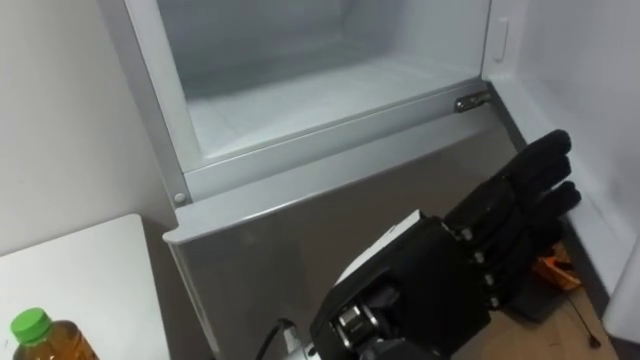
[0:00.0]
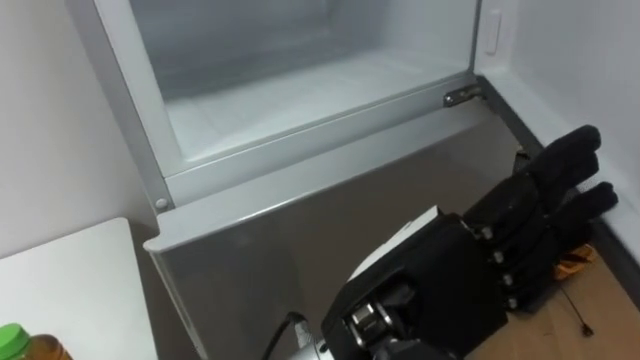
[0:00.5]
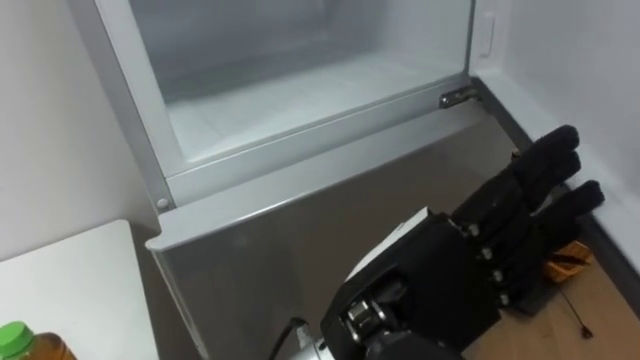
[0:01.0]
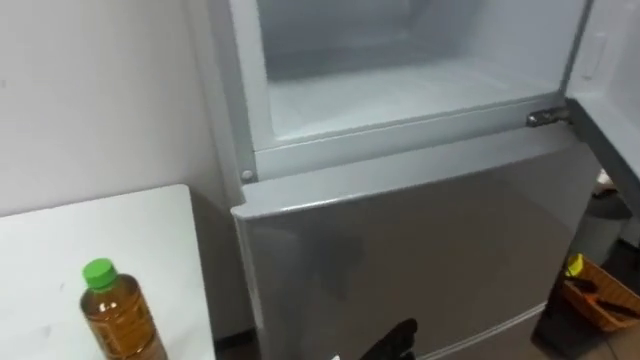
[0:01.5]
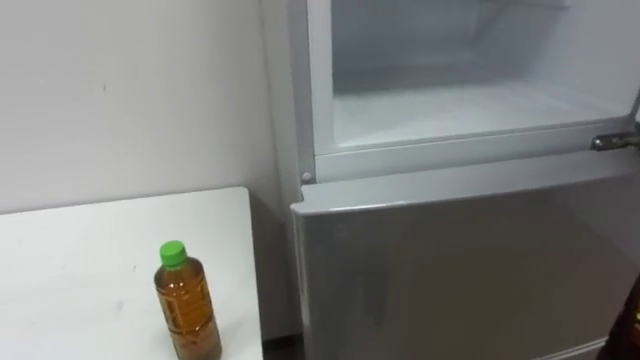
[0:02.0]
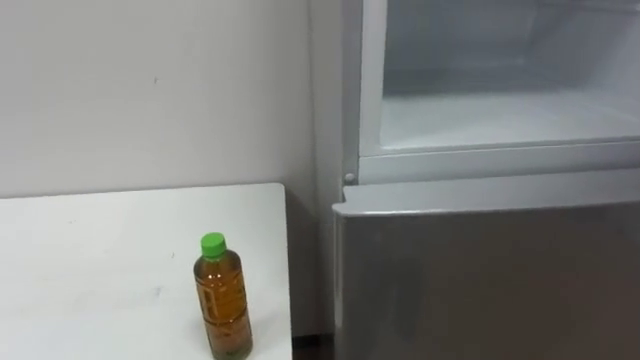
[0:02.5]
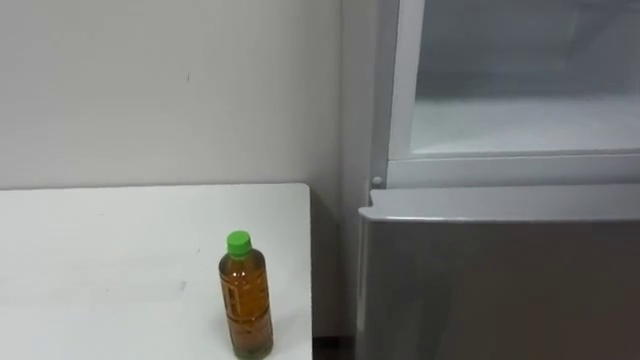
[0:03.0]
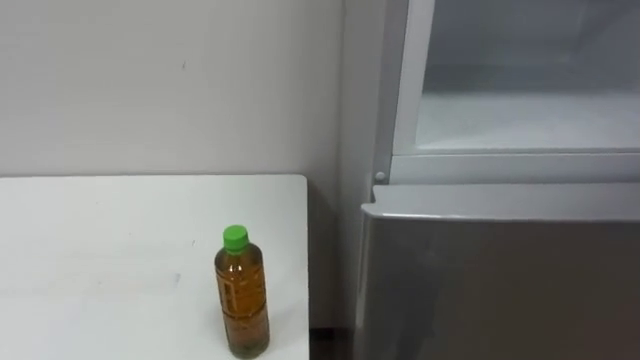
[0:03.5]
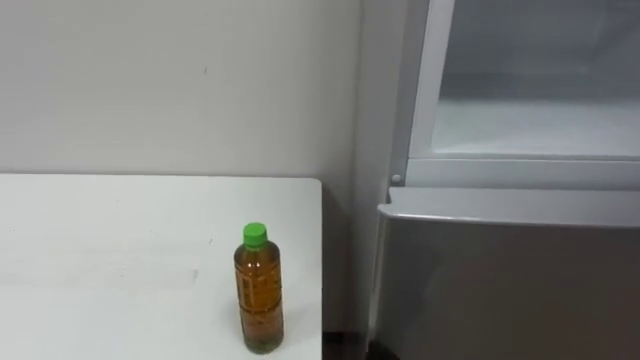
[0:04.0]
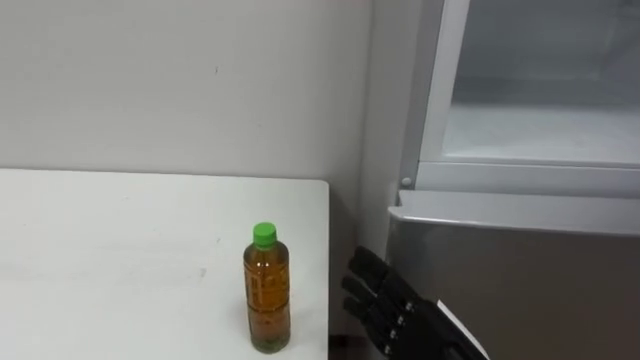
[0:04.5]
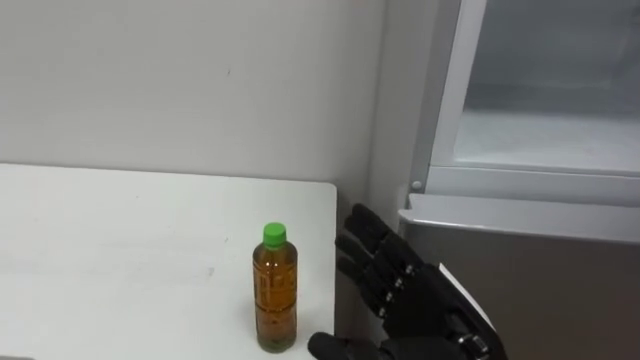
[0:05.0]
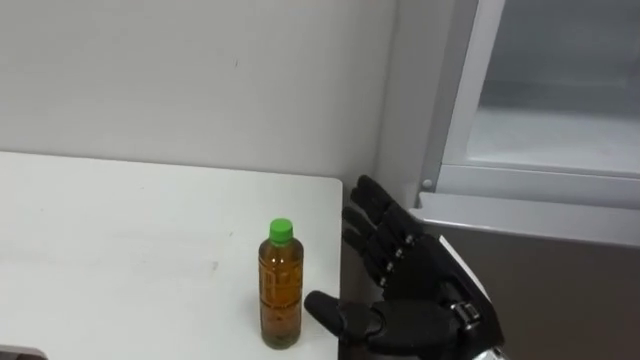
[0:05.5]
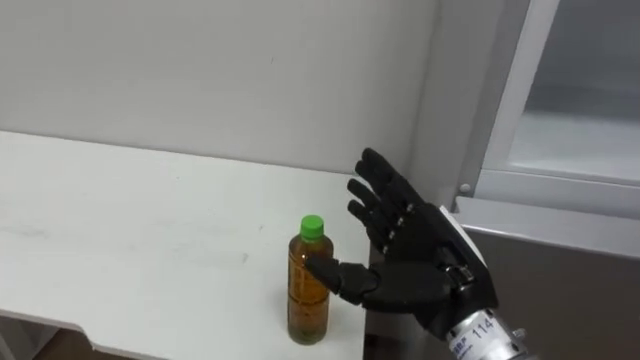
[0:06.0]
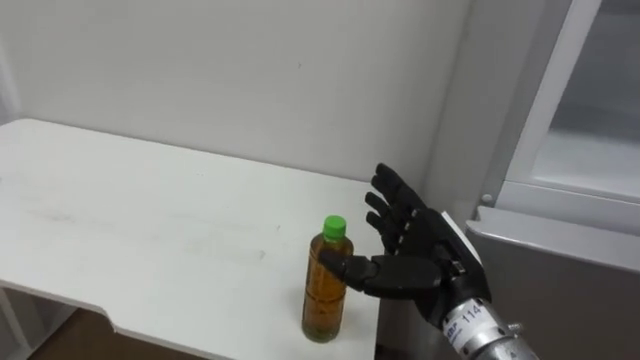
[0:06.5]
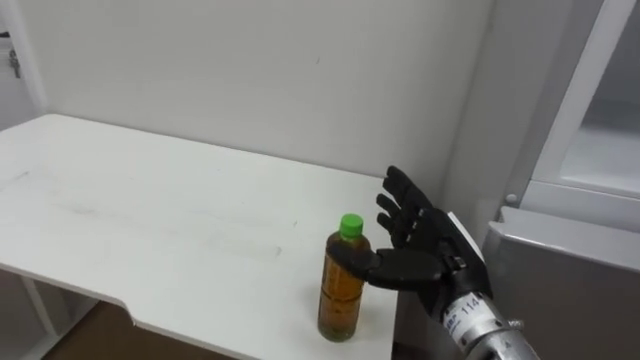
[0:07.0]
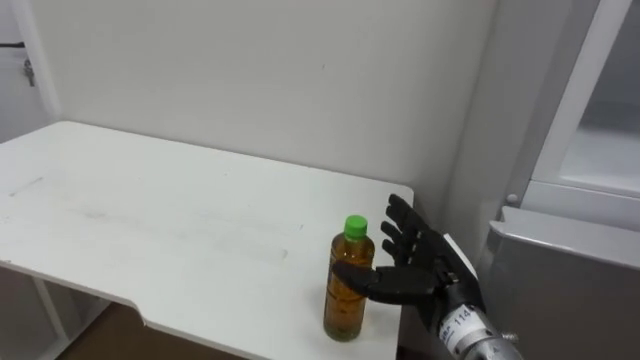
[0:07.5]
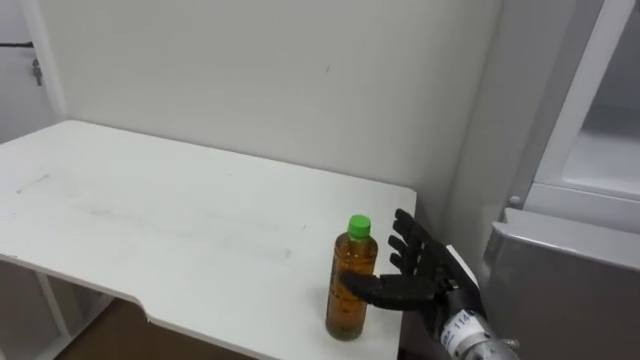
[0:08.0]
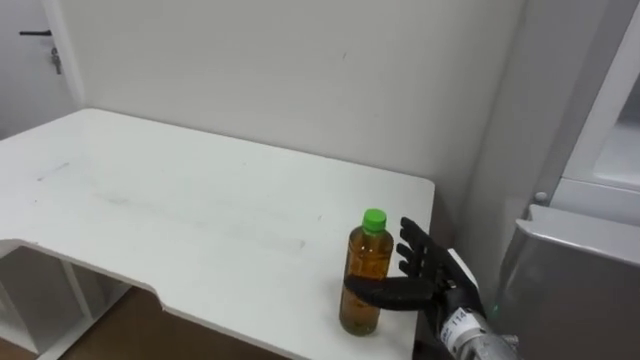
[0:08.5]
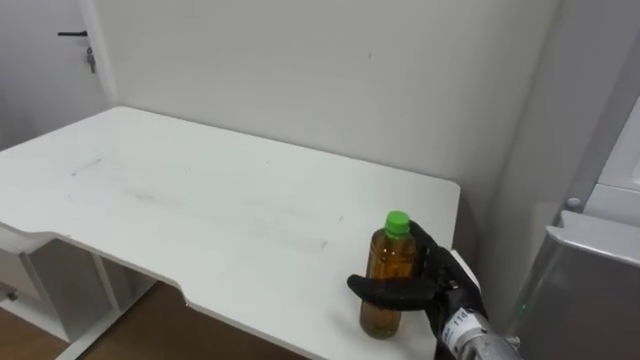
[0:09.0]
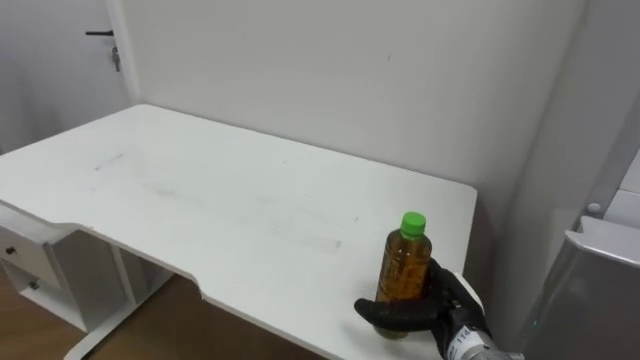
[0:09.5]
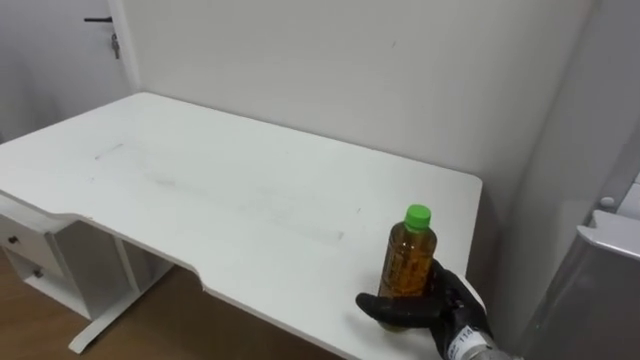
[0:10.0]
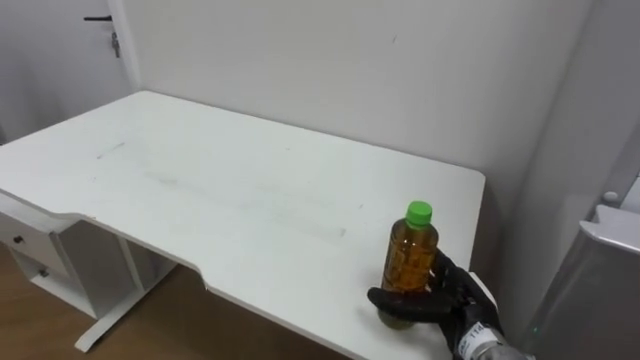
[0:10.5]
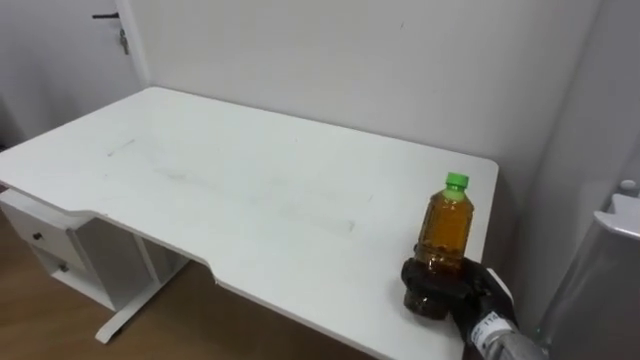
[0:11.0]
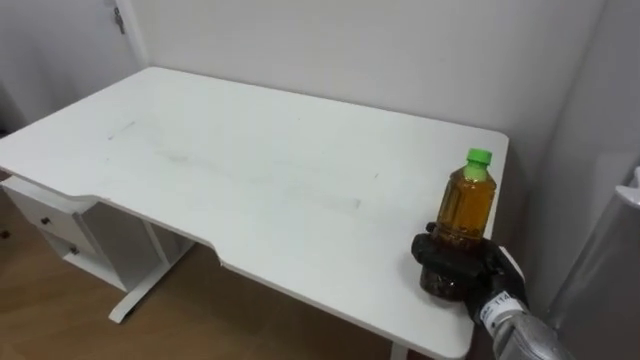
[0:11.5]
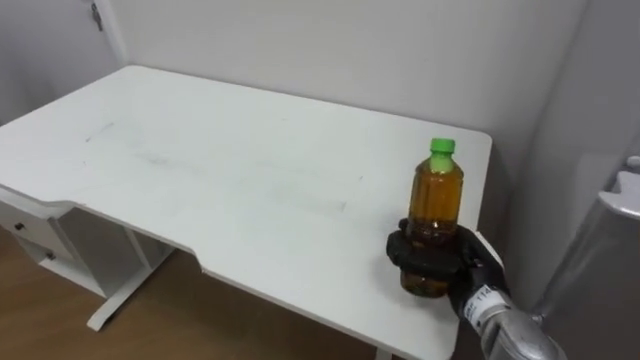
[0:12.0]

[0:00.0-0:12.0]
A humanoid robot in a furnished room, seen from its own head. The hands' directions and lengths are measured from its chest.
Task of the whole recording: Open the upper refrigerator door, put the drink from the table into the refrigerator, and then close the refrigerator door.
0:06.0 to 0:08.0: The right hand travels downward and forward by approximately 10 cm.
0:08.0 to 0:10.0: The right hand travels downward by approximately 5 cm.
0:10.0 to 0:12.0: The right hand heads upward, covering approximately 5 cm, and closes up.

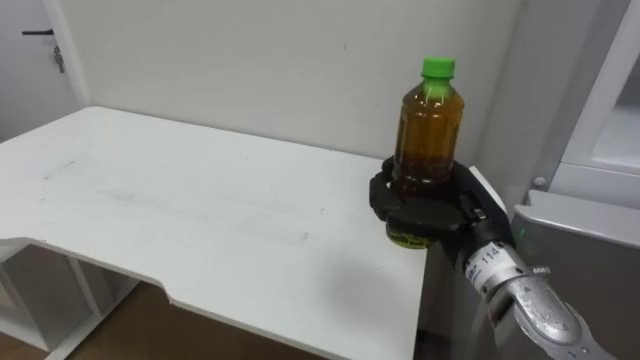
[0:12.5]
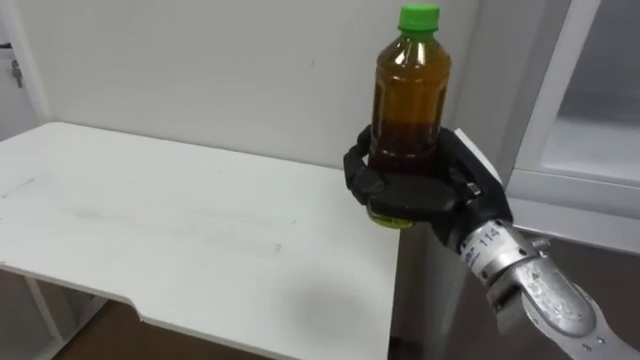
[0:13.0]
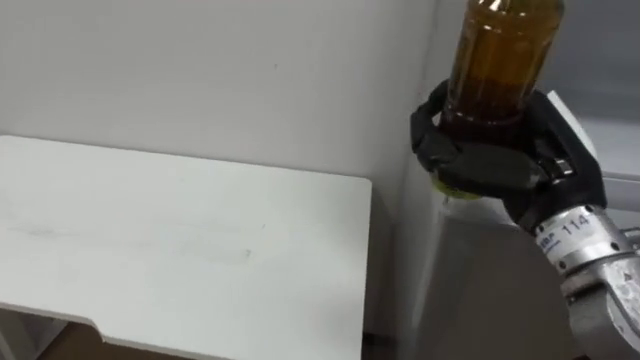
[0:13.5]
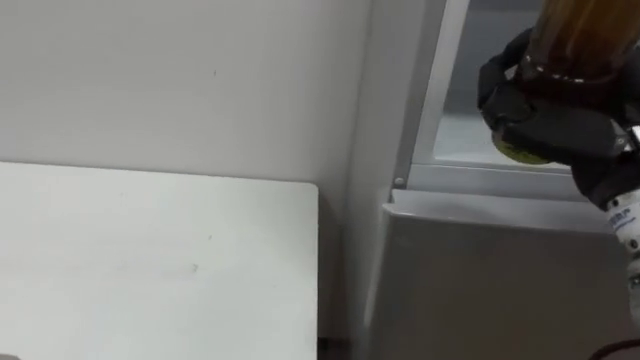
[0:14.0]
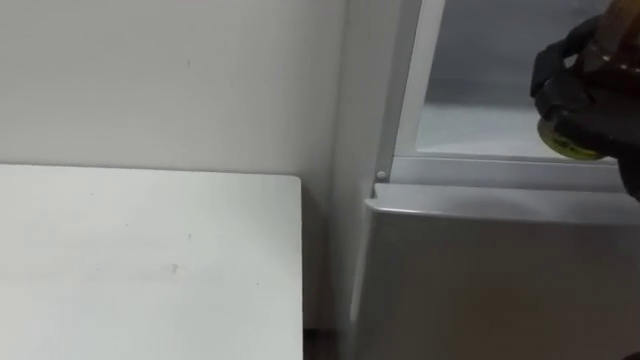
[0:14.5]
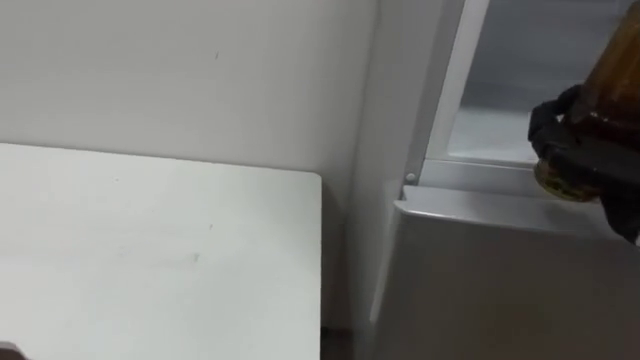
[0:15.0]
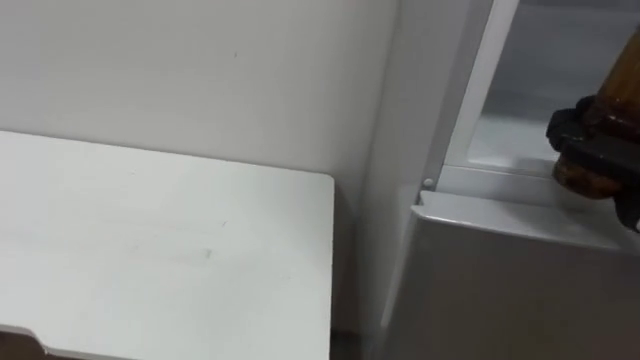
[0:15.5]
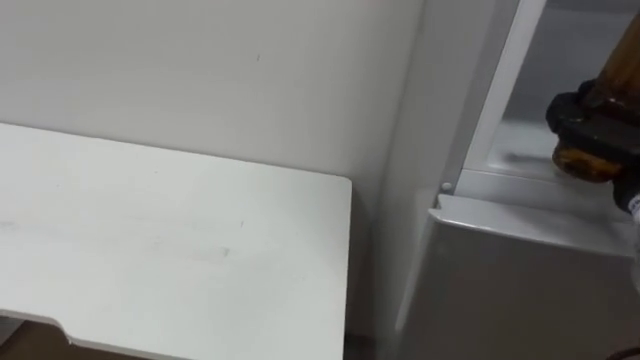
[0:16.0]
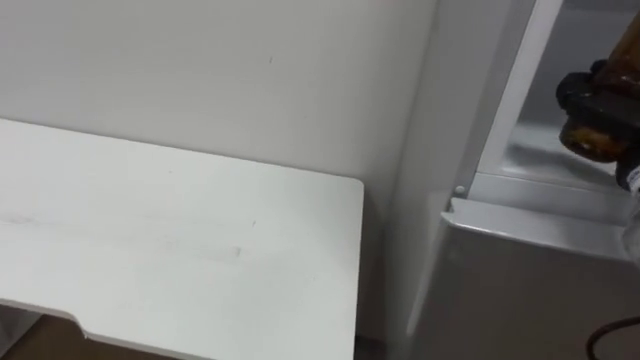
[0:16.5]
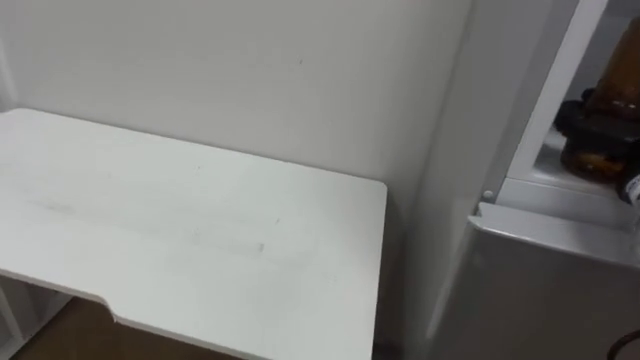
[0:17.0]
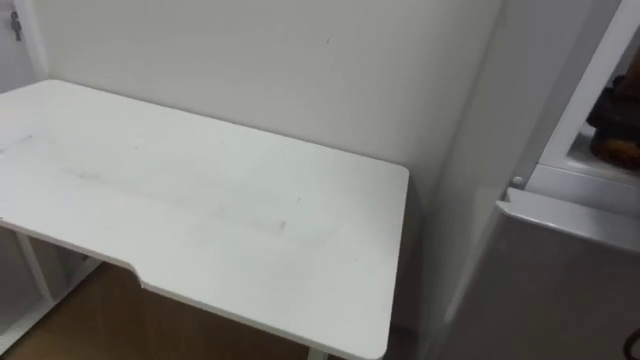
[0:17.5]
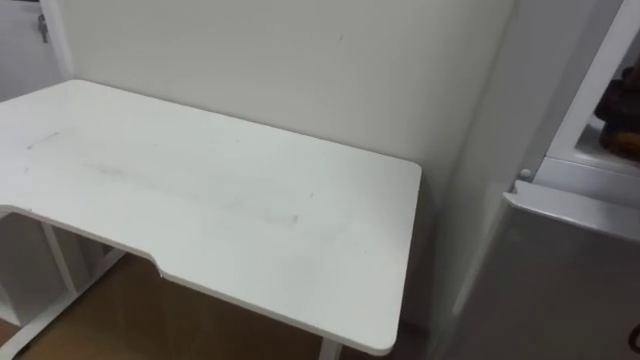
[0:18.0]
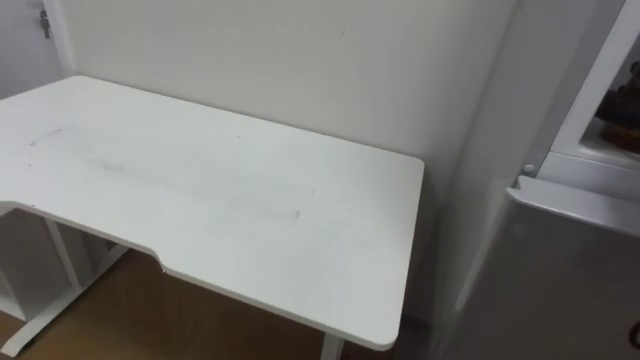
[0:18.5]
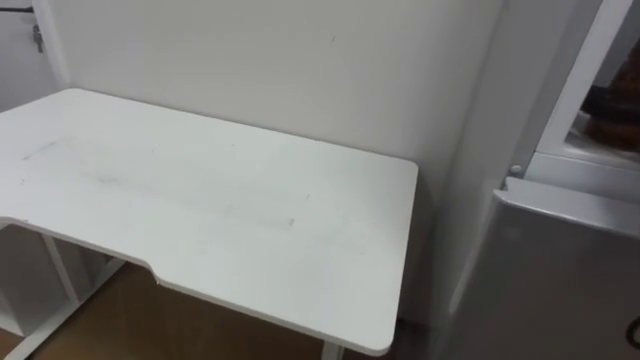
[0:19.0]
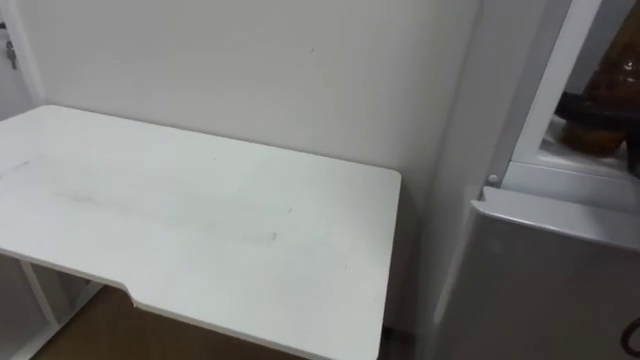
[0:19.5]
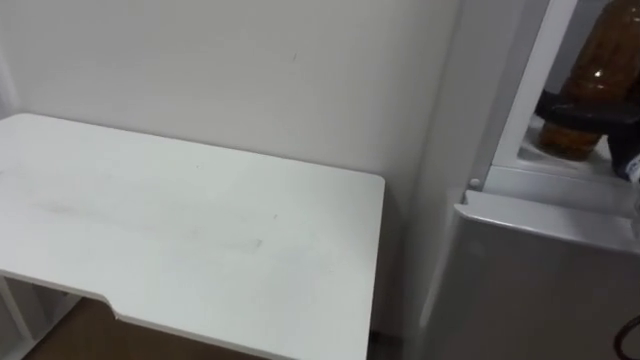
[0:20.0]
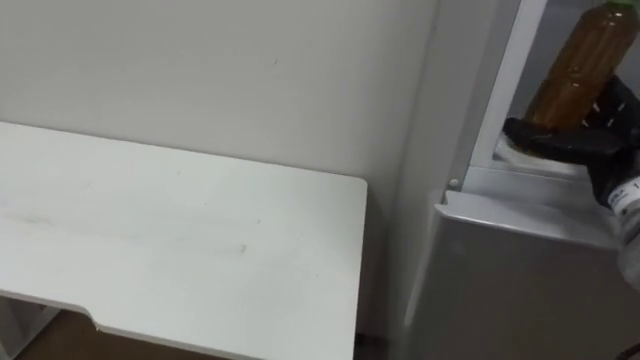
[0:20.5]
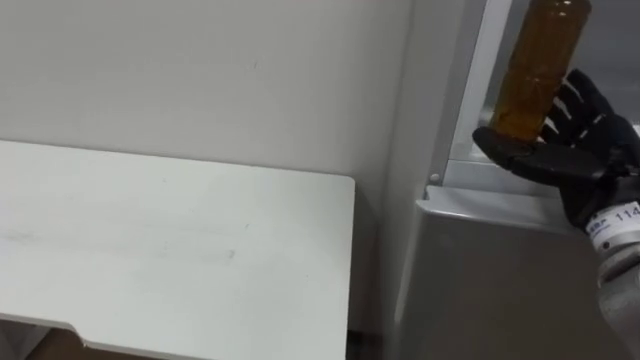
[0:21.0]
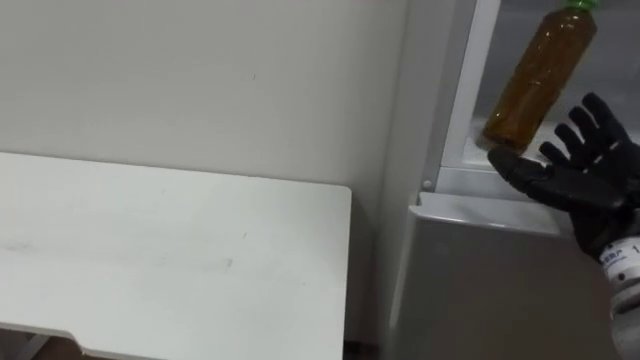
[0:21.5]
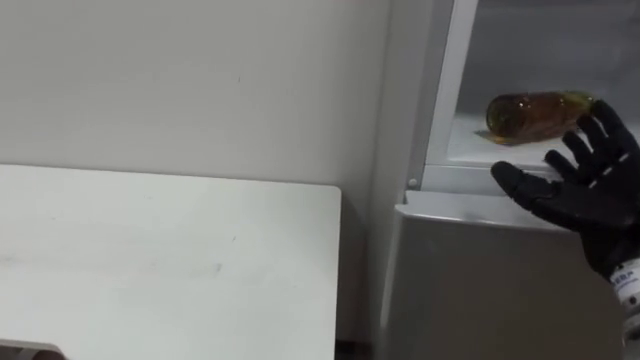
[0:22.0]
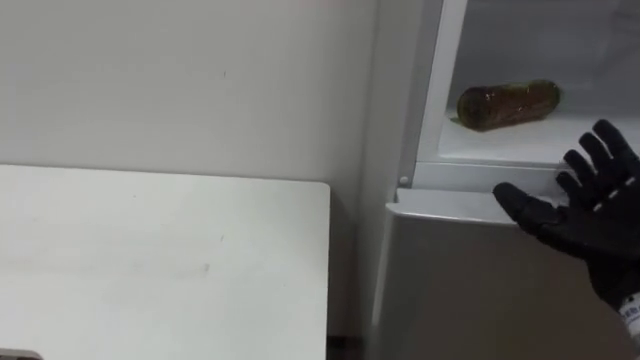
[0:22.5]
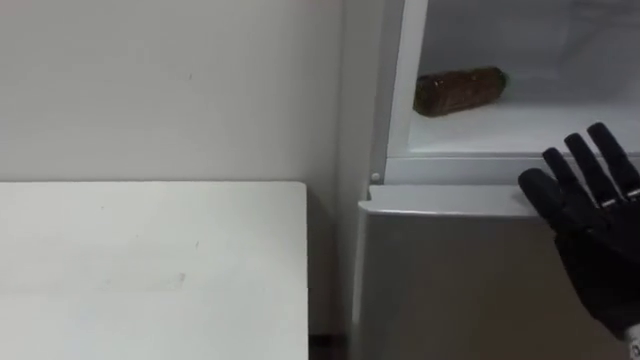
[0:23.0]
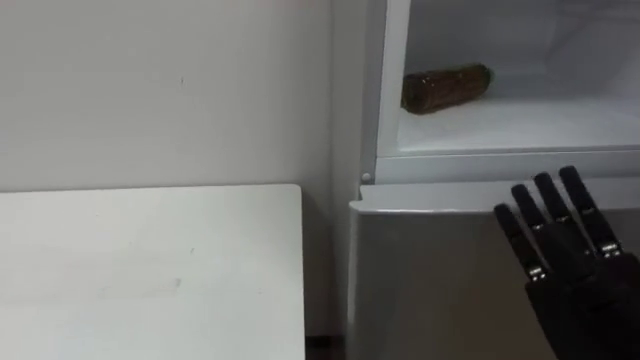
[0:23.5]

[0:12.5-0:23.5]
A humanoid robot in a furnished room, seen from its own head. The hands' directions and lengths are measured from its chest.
Task of the whole recording: Open the upper refrigerator door, put the drink from the table into the refrigerator, and then close the refrigerator door.
0:20.0 to 0:21.5: The right hand is displaced backward and downward by some 10 cm.
